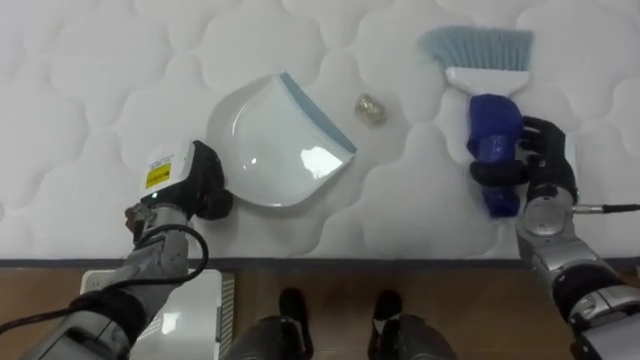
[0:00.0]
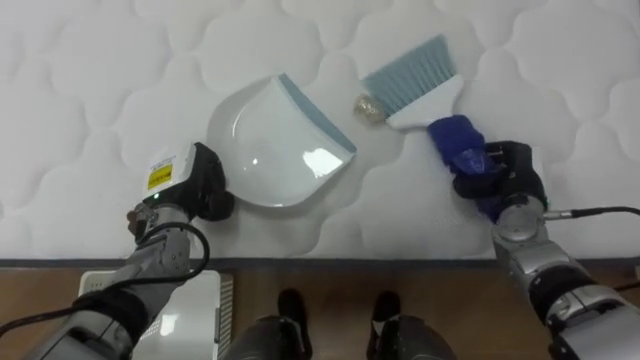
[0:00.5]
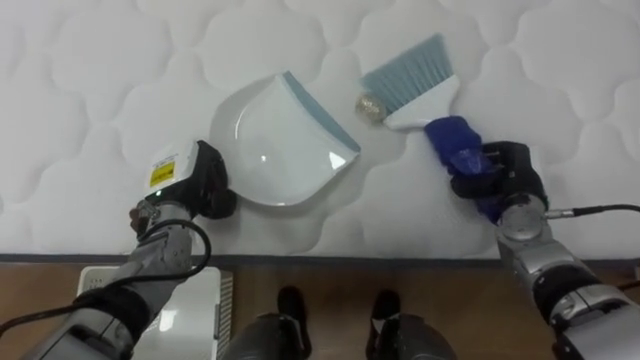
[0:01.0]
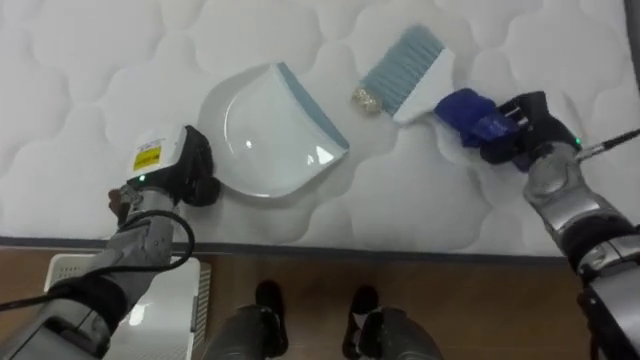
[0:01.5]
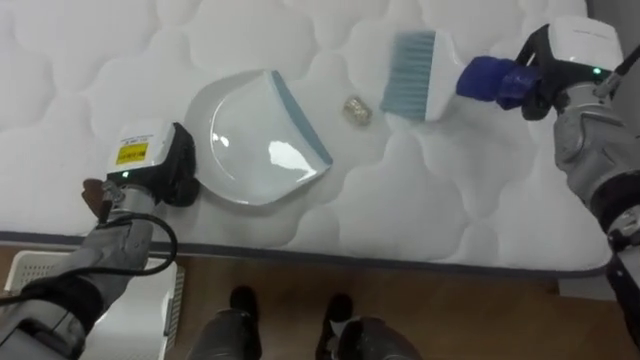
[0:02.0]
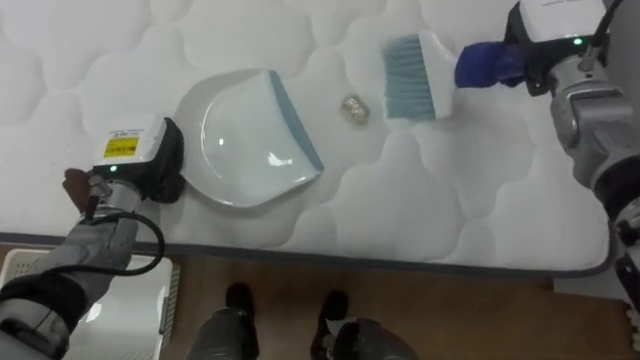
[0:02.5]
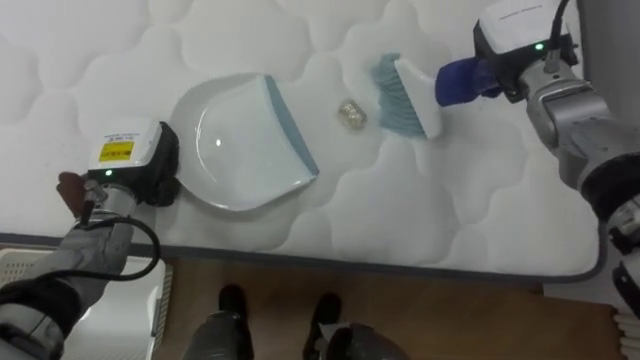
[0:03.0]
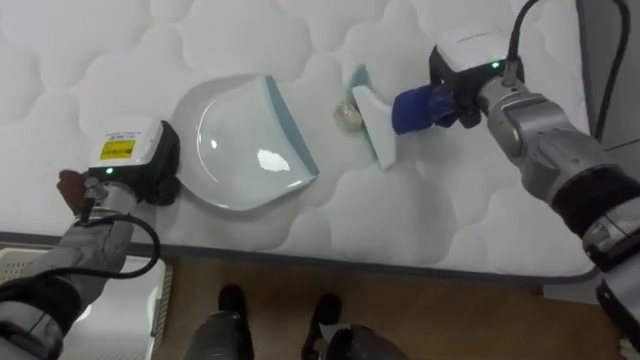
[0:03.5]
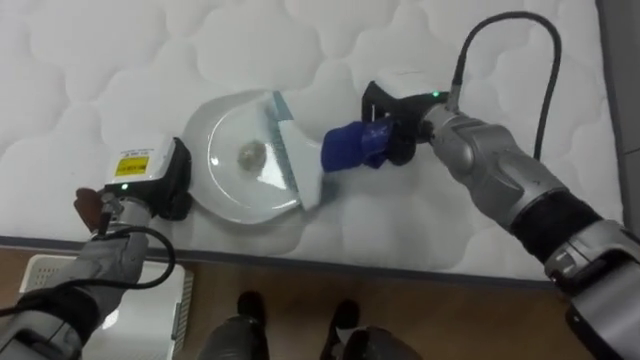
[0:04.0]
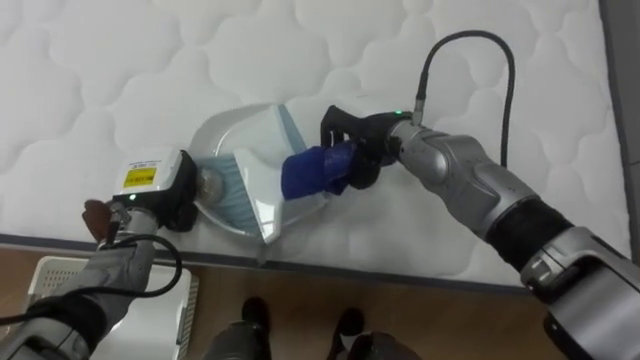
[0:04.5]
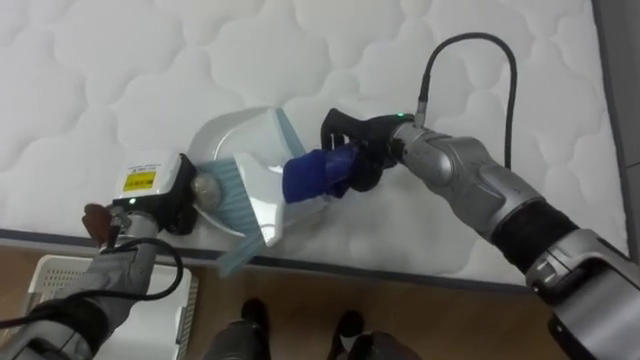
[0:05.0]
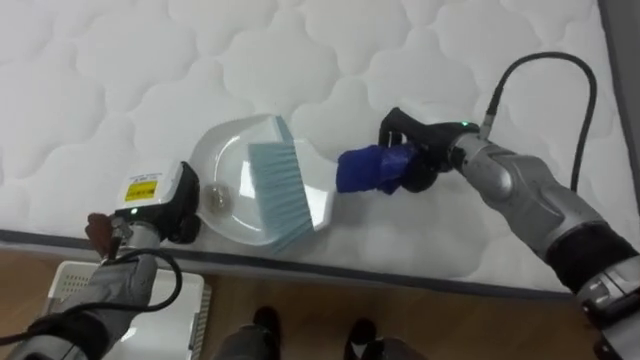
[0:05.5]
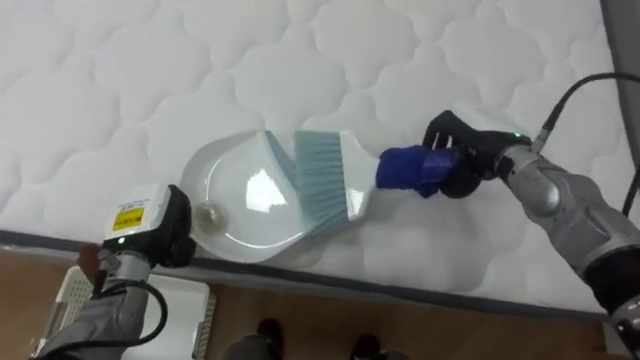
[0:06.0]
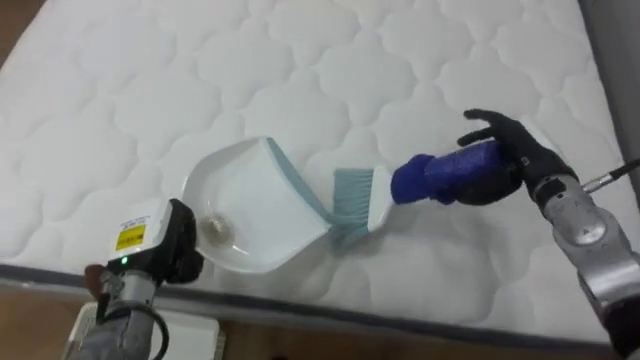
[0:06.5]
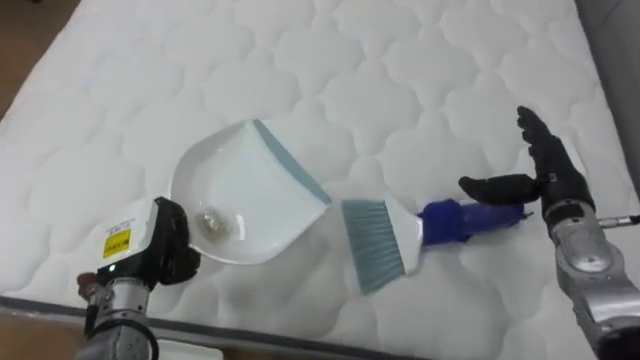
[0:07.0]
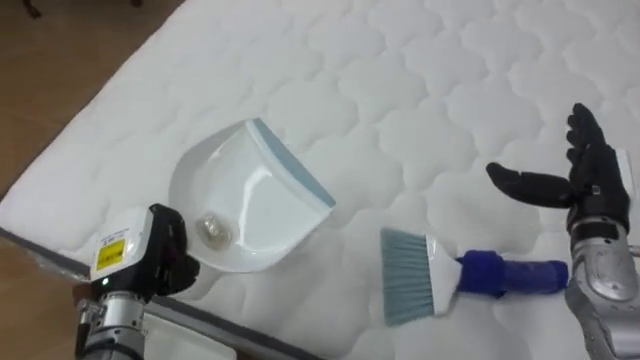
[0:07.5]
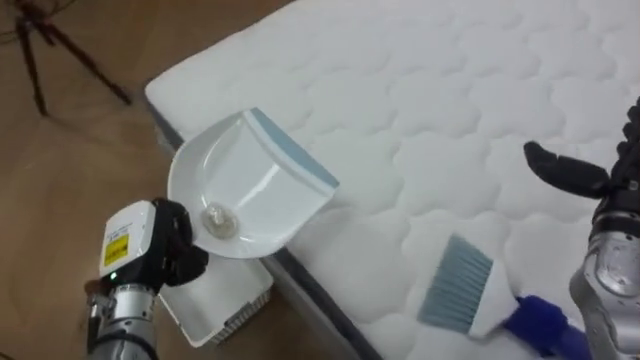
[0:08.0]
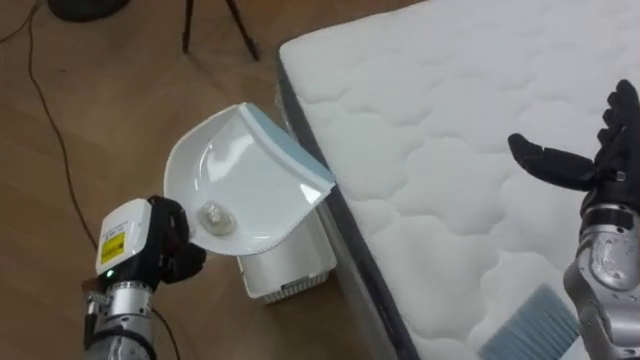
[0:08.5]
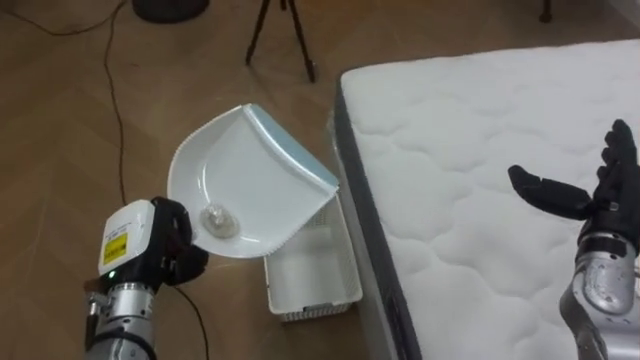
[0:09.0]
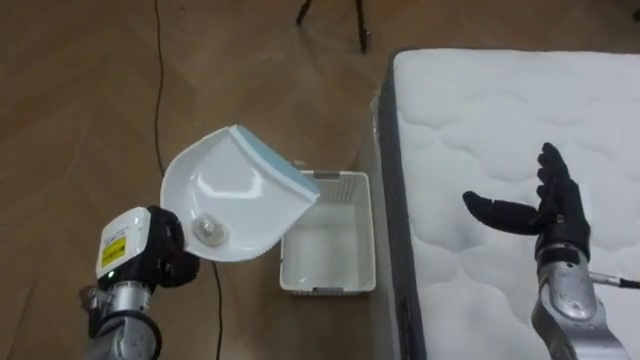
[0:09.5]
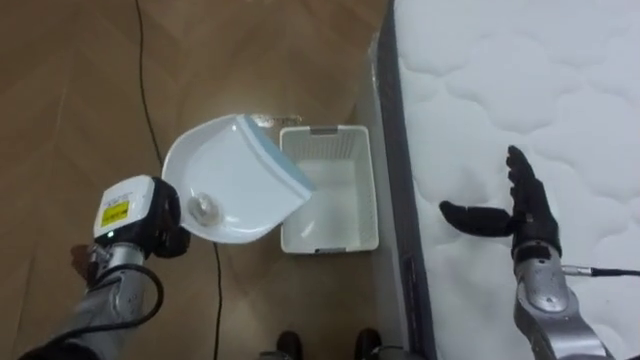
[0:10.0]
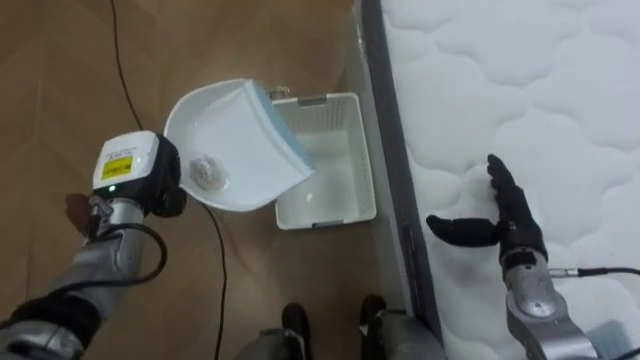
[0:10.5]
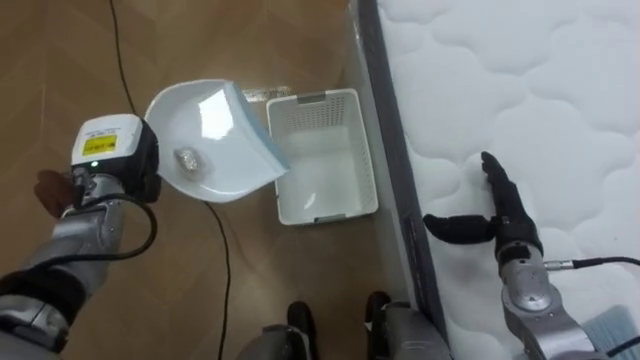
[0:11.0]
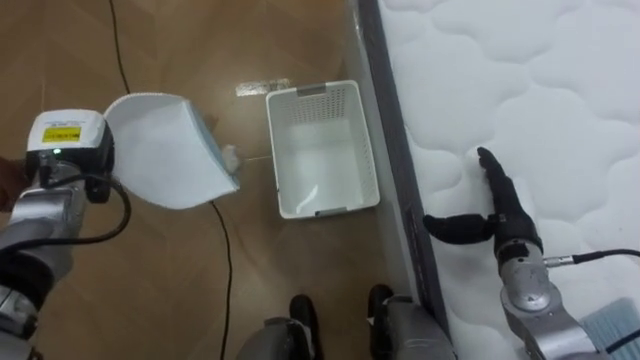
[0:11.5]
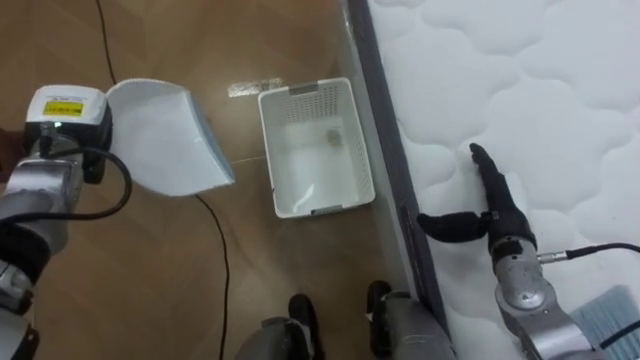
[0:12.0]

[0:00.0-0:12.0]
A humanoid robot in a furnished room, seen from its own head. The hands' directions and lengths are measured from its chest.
Task of the whole recording: Pick up the brush on your right and the dustpan on your left. Use the brush to sweep the crumpled paper on the bed into the dustpan, then turn left and empty it into the basket.
0:00.0 to 0:02.0: The right hand goes some 15 cm upward and forward, and closes its fingers.
0:02.0 to 0:04.0: The right hand heads to the left, covering approximately 20 cm.
0:04.0 to 0:06.0: The left hand travels backward by roughly 5 cm; the right hand moves to the right, some 10 cm.
0:06.0 to 0:08.0: The robot faces roughly 40 degrees further to its left. The left hand shifts by approximately 5 cm; the right hand travels to the right and backward by roughly 20 cm, and opens its fingers.
0:08.0 to 0:10.0: The robot faces some 50 degrees further to its left. The left hand travels forward by about 5 cm, while the right hand shifts some 10 cm downward and to the left.
0:10.0 to 0:12.0: The left hand shifts approximately 15 cm upward, forward and to the left.

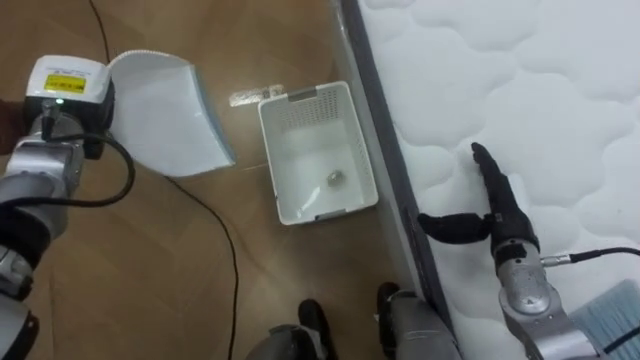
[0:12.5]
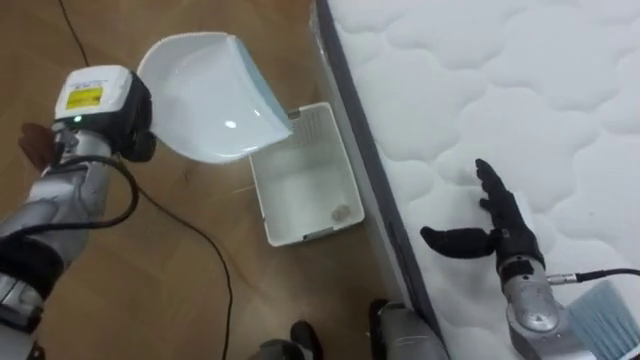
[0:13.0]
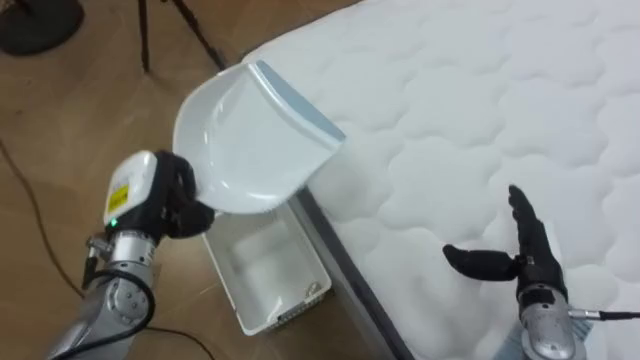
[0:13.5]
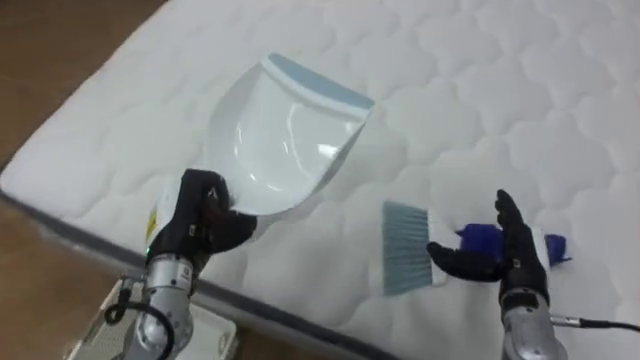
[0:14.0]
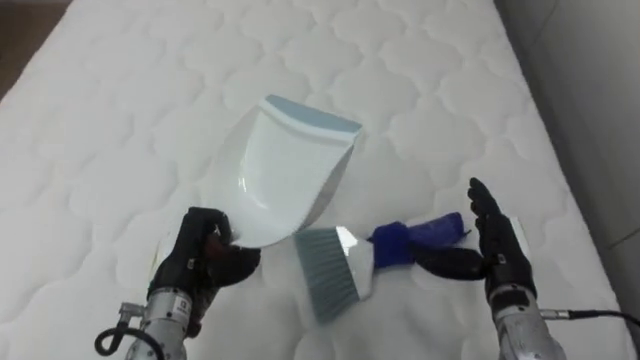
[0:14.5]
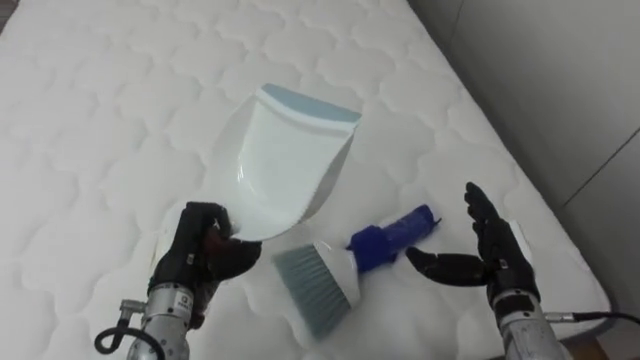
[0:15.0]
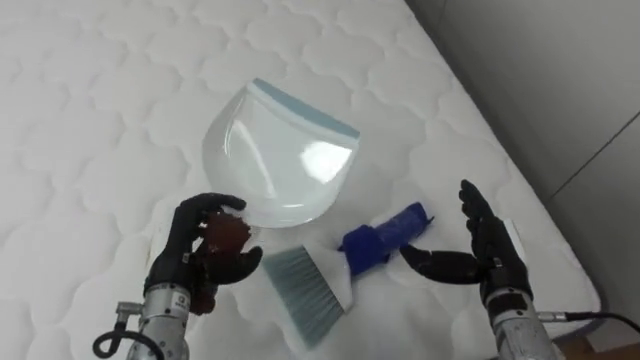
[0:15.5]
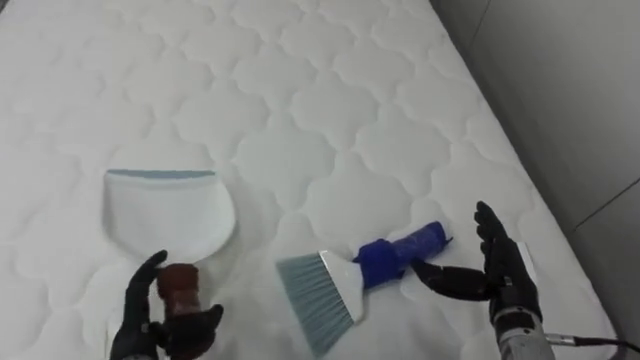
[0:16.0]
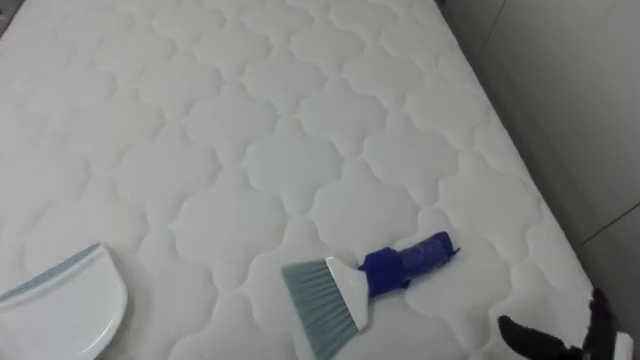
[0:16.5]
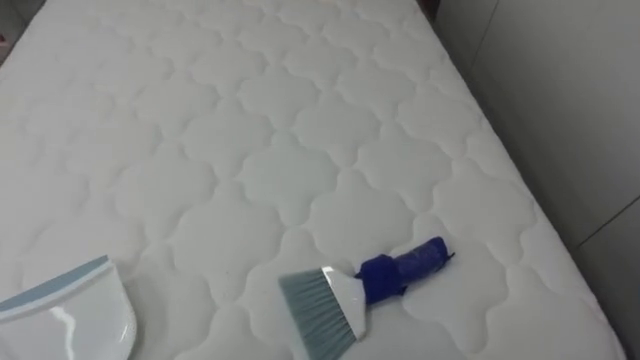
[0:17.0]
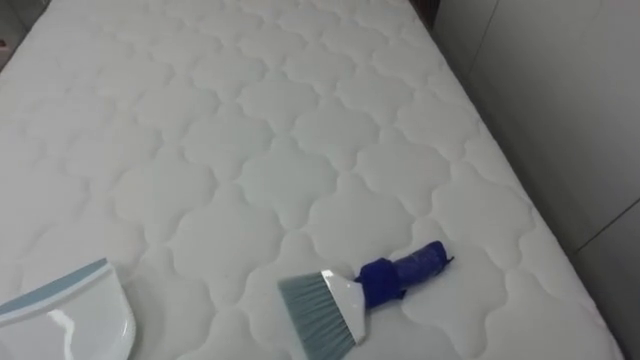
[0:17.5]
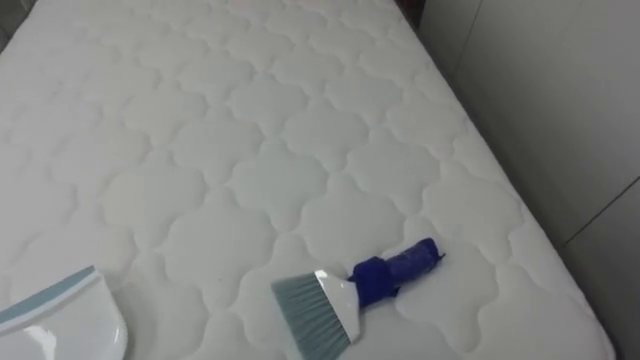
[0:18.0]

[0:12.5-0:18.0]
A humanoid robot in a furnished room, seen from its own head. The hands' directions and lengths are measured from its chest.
Task of the whole recording: Pick up the brush on your right and the dustpan on your left. Use the brush to sweep the crumpled paper on the bed into the dustpan, then turn left and empty it into the basket.
0:12.5 to 0:14.5: The robot's body swings approximately 85 degrees to its right. The left hand travels backward, downward and to the right by roughly 25 cm. The right hand changes place by about 5 cm.
0:14.5 to 0:16.0: The left hand travels backward and downward by about 10 cm, and opens.

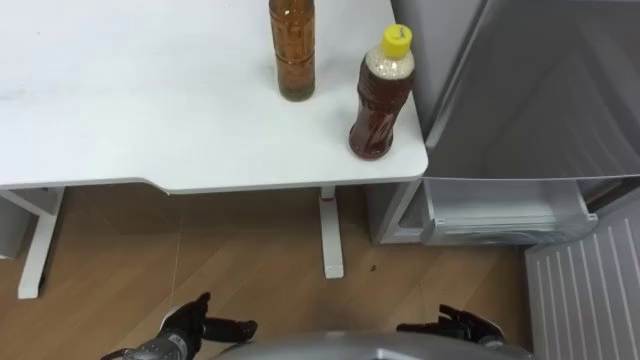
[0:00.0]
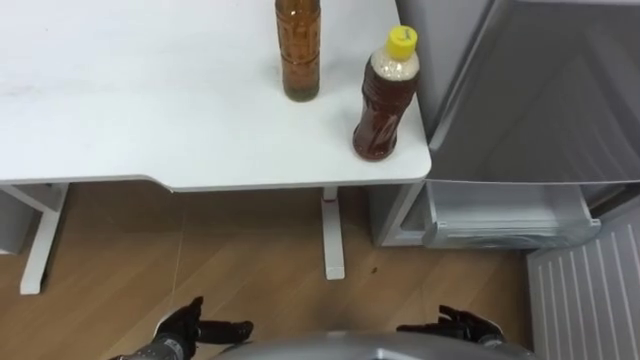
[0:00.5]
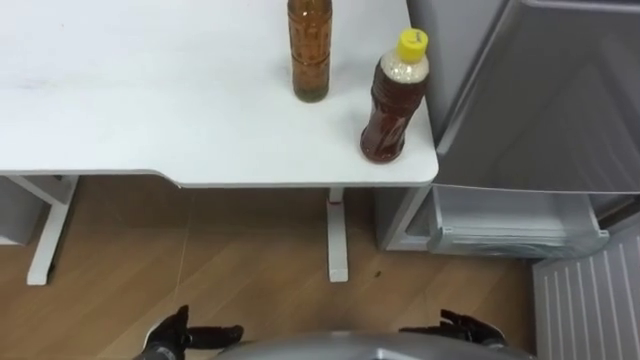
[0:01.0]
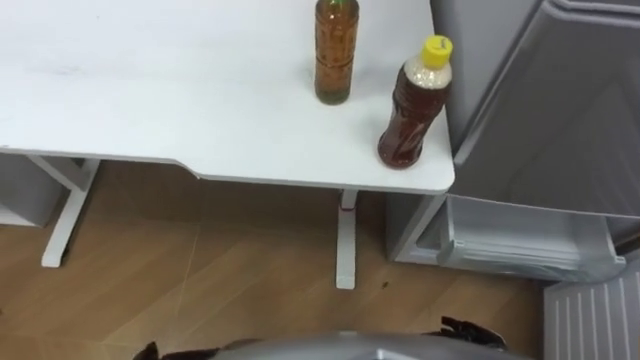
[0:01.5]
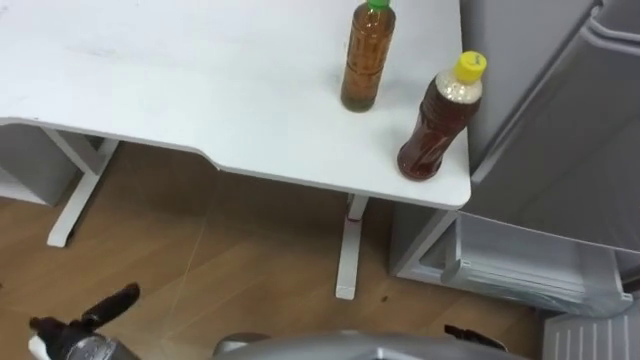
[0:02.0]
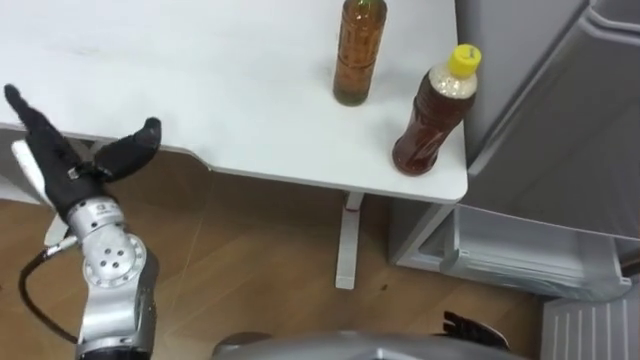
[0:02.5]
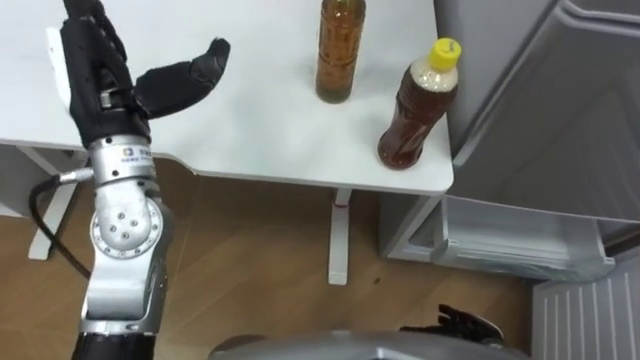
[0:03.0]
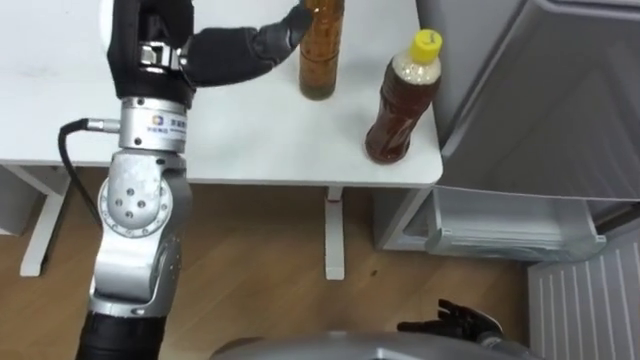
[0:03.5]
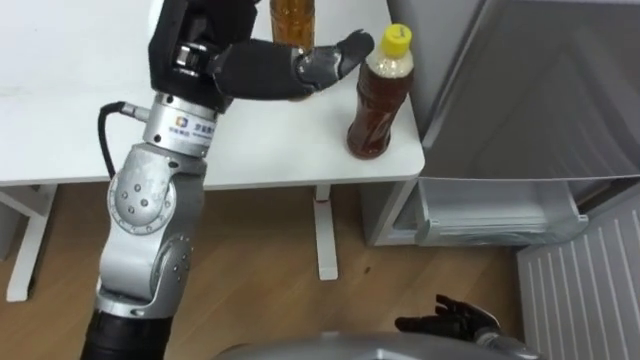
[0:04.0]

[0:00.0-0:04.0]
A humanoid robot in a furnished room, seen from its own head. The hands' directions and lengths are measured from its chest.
Task of the whole recording: Place the drink on the table on the bottom shelf of the refrigerator, then close the drawer and the refrigerator door.
0:02.0 to 0:04.0: The left hand moves upward, to the right and forward, some 50 cm.
